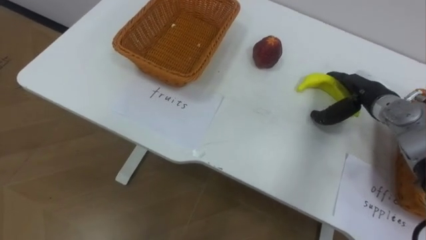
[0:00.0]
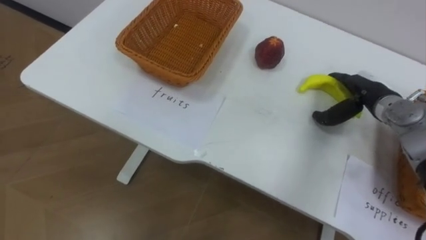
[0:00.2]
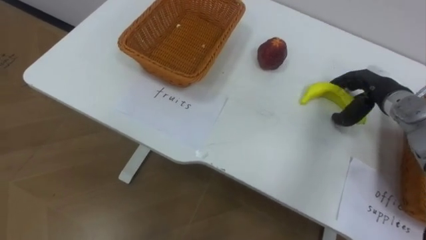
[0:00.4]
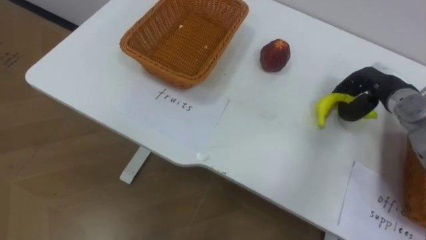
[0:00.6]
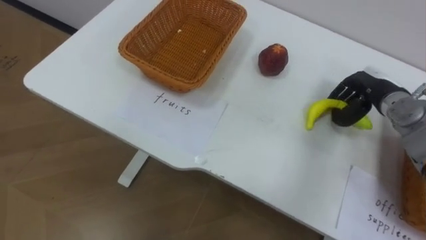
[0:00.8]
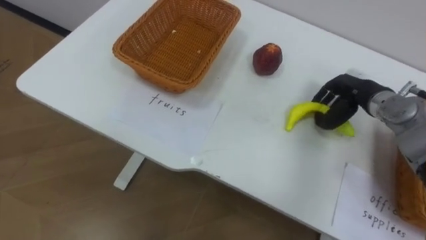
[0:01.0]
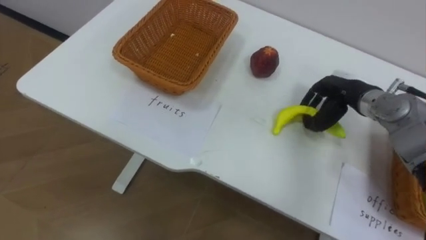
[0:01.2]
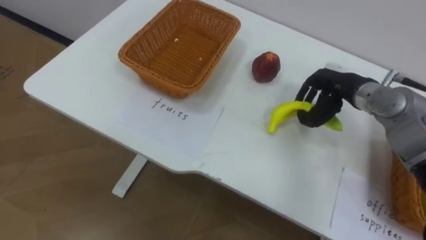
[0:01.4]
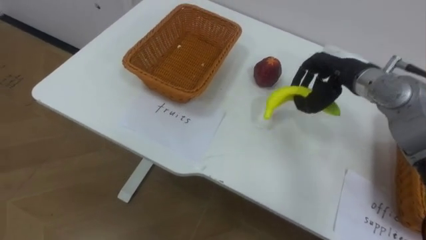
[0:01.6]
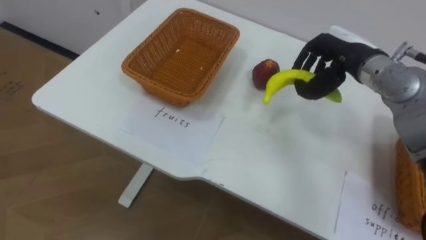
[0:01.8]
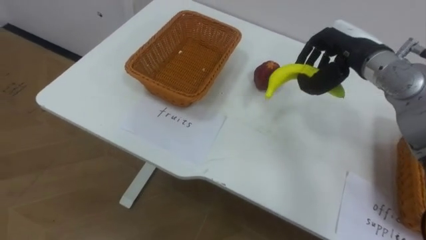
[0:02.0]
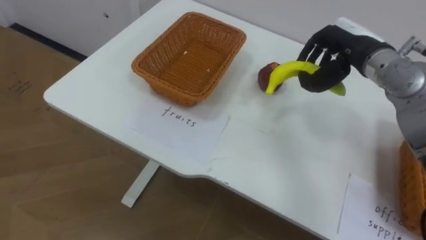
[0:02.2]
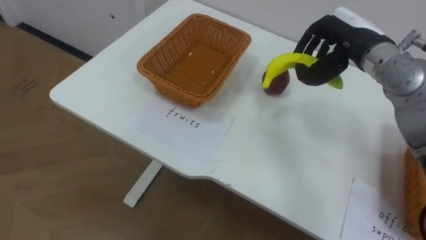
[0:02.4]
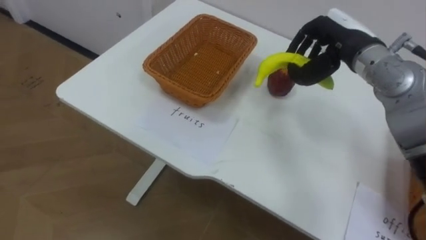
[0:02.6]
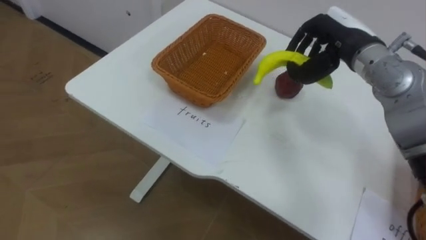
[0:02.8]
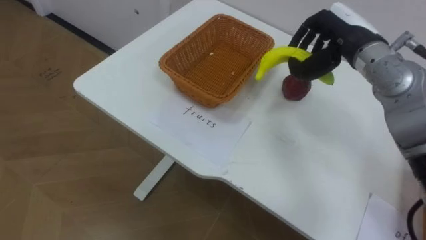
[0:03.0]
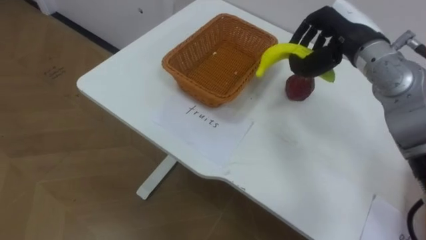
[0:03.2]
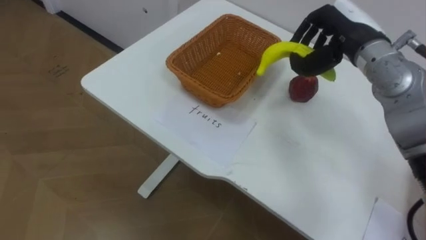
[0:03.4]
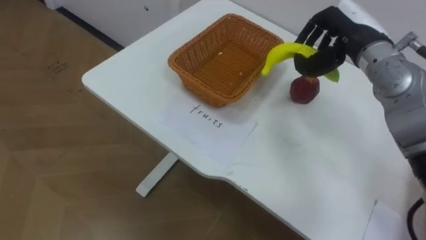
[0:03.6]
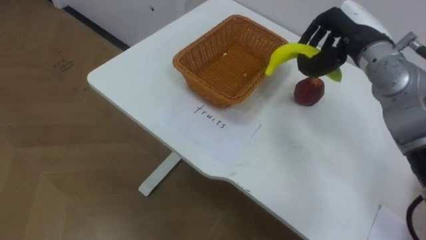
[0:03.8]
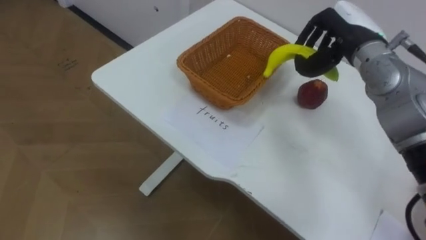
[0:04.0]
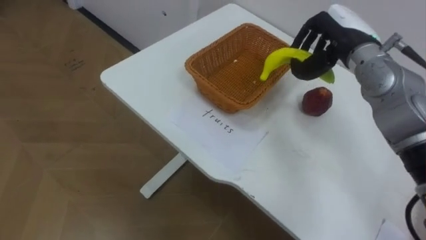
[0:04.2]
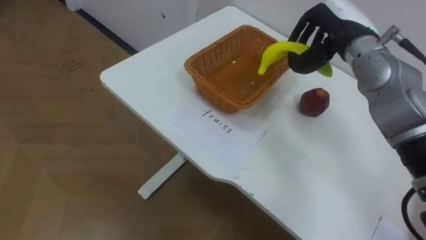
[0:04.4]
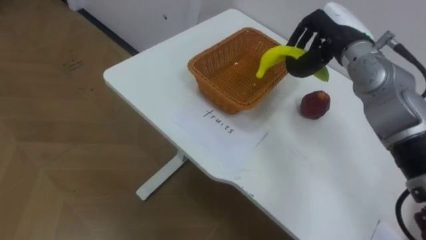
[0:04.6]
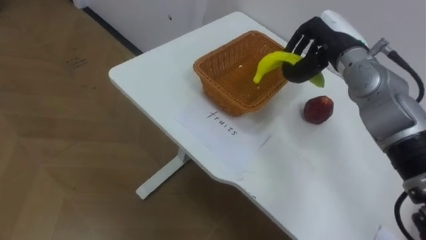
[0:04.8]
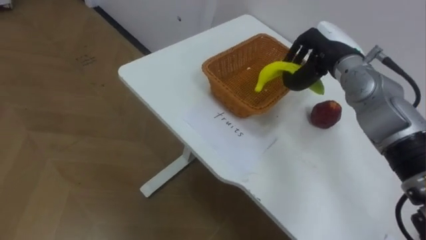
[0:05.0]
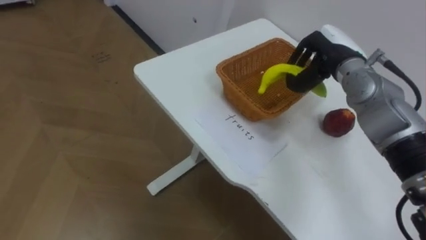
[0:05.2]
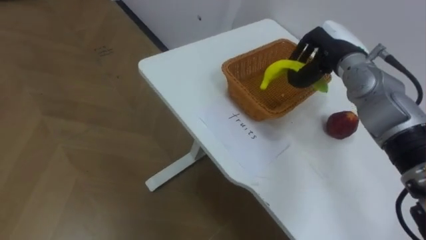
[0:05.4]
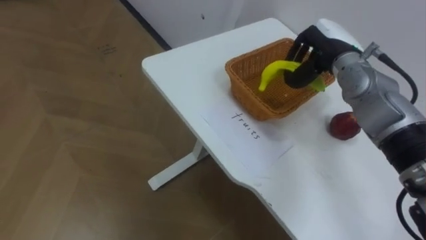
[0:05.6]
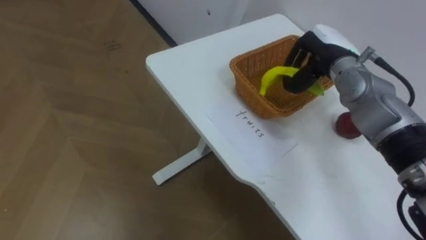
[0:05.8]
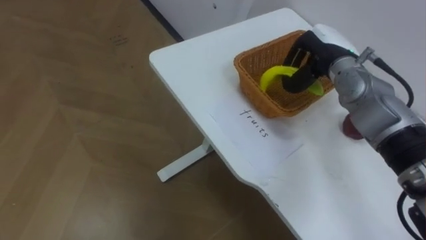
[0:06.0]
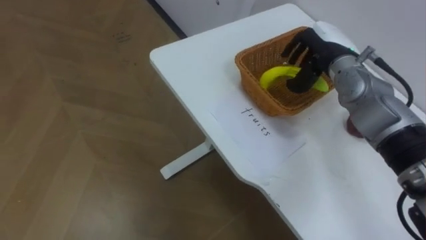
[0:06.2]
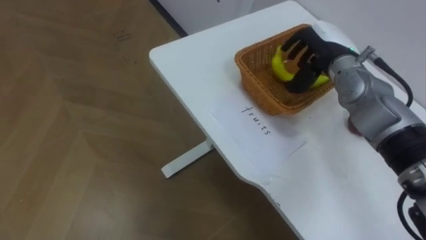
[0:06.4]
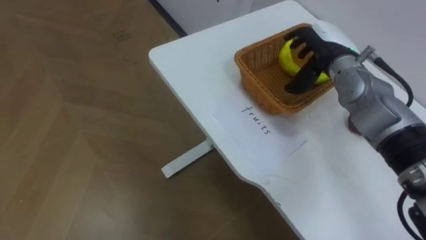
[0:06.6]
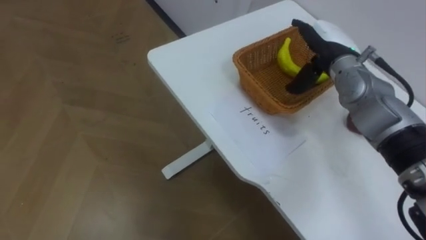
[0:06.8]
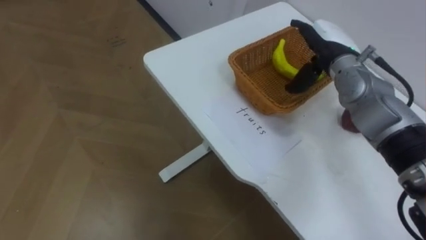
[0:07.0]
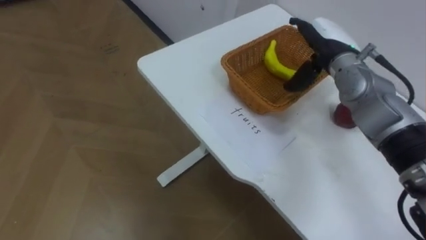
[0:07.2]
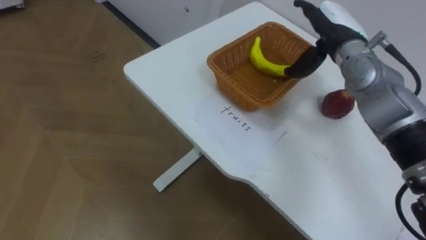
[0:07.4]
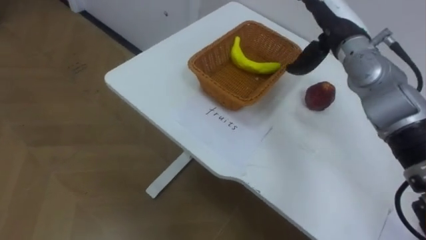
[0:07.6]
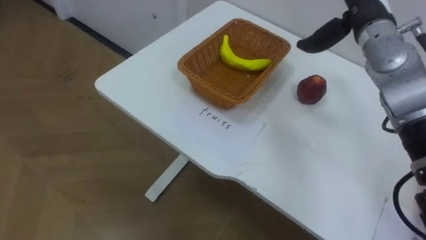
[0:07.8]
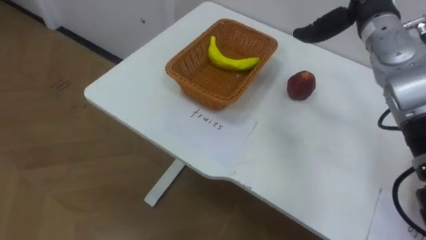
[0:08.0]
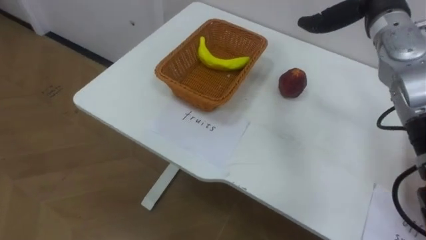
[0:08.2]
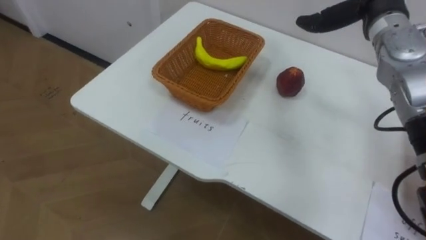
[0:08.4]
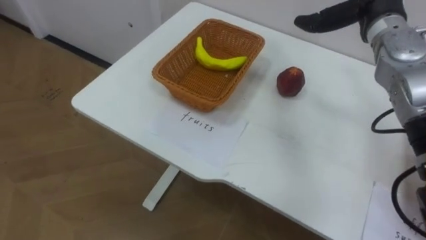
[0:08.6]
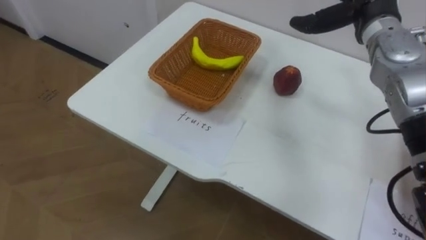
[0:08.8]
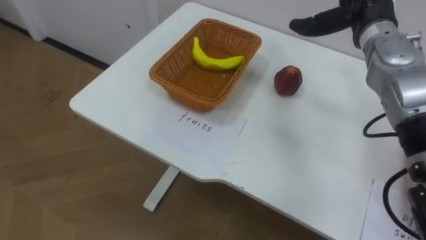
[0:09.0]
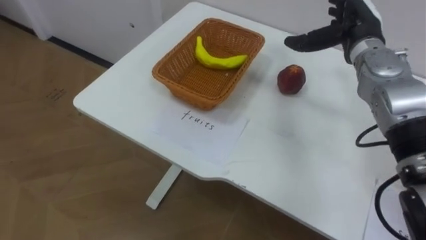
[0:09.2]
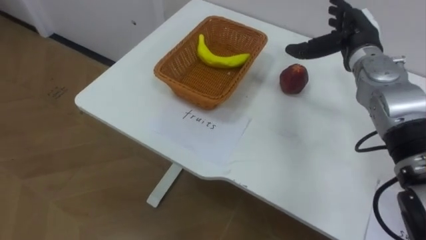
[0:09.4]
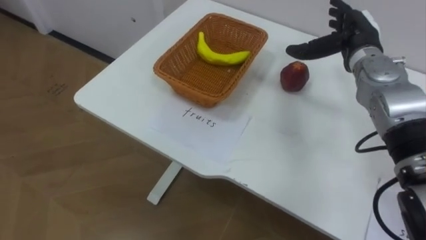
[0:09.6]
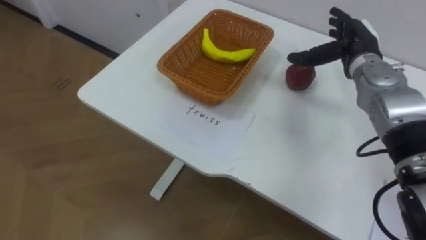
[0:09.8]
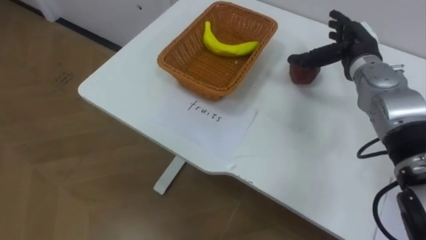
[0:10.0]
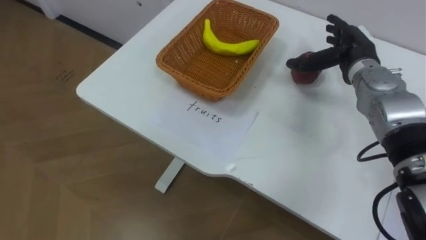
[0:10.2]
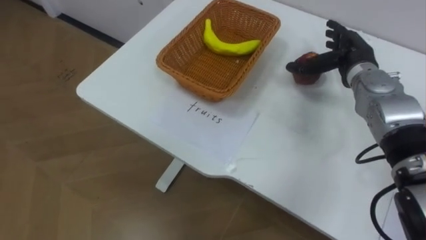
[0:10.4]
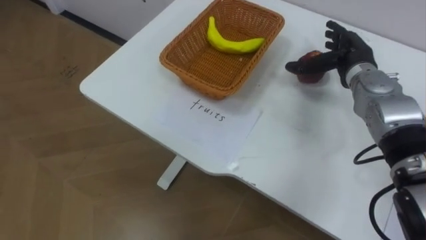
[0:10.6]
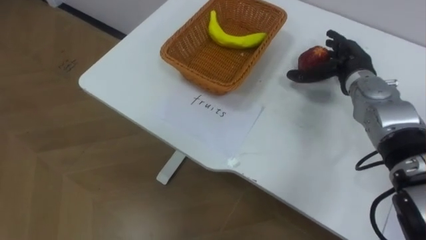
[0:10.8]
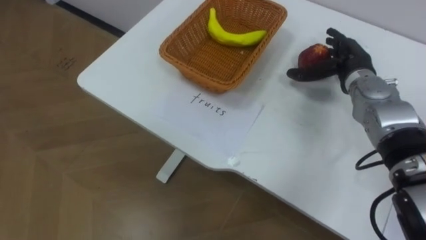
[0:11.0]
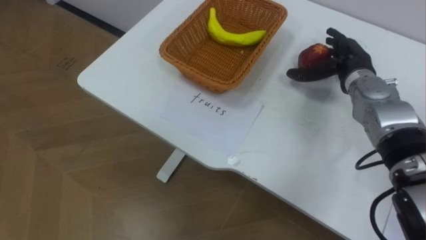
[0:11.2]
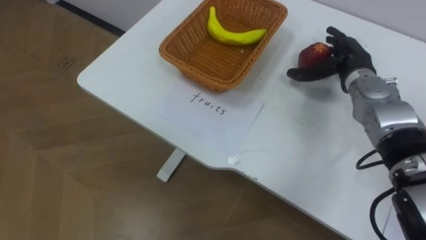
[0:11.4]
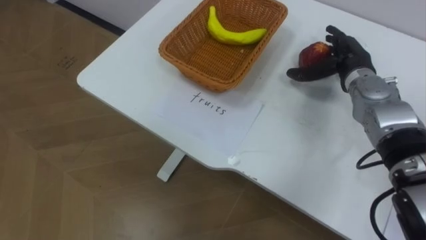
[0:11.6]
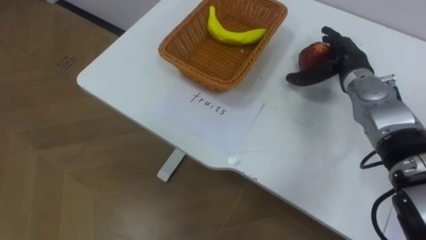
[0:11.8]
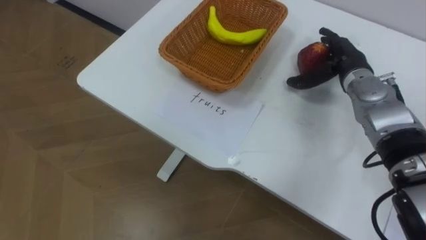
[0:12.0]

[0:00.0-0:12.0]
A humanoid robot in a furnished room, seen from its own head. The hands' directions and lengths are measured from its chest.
Task of the whole recording: Separate the items on the table and place them into the two baskets.
0:00.0 to 0:01.6: The right hand moves to the left and upward, roughly 10 cm, and closes up.
0:01.6 to 0:03.0: The right hand shifts some 5 cm upward.
0:04.4 to 0:06.0: The right hand goes roughly 5 cm downward.
0:06.0 to 0:07.6: The right hand opens.
0:09.0 to 0:10.4: The right hand shifts approximately 10 cm downward.

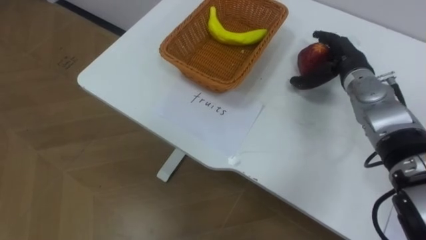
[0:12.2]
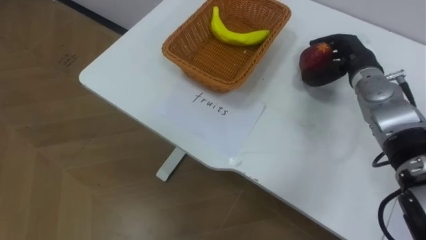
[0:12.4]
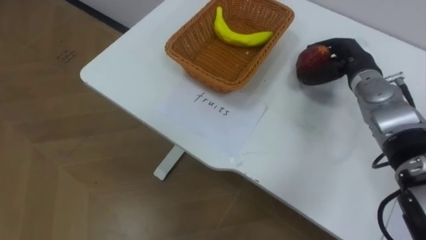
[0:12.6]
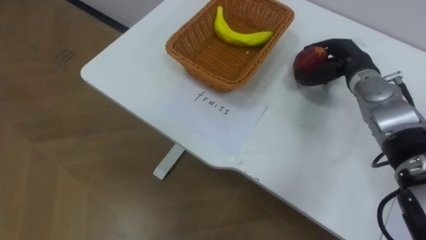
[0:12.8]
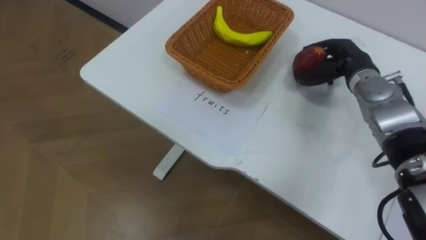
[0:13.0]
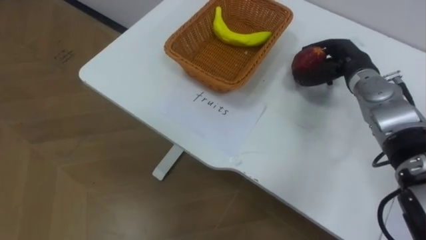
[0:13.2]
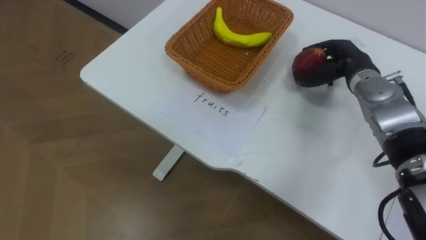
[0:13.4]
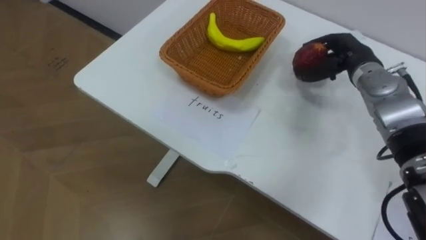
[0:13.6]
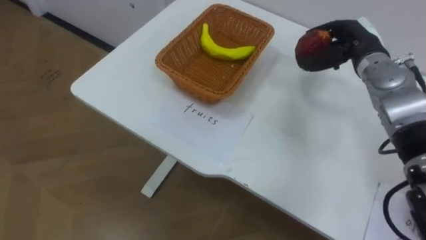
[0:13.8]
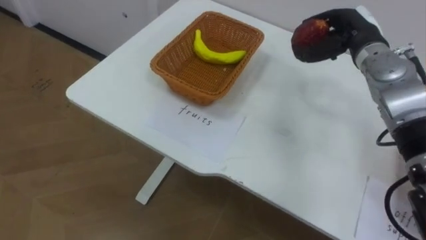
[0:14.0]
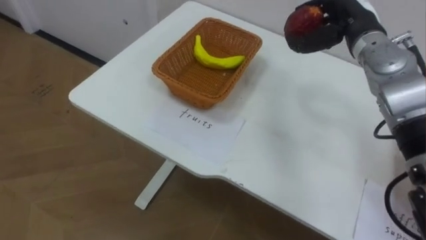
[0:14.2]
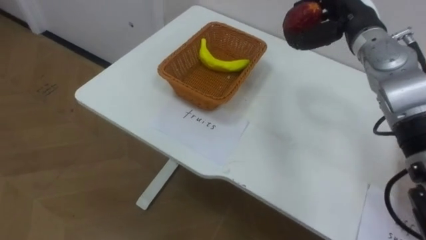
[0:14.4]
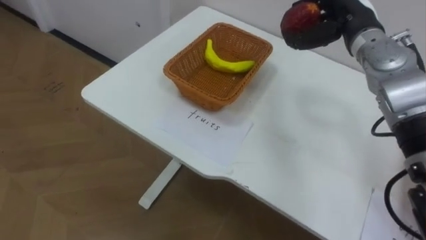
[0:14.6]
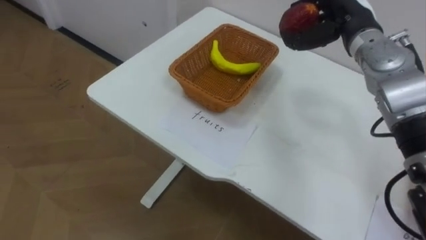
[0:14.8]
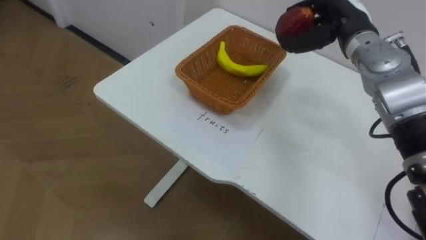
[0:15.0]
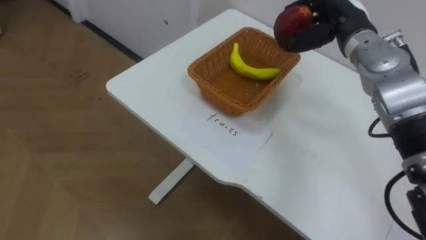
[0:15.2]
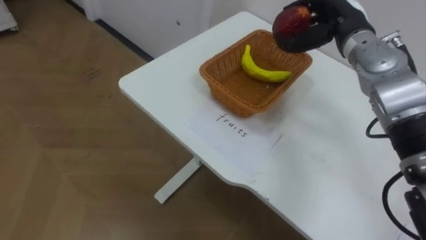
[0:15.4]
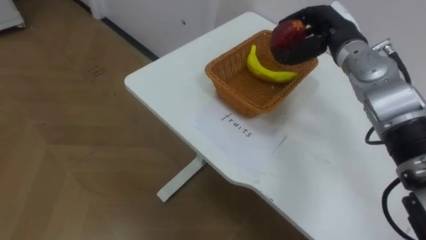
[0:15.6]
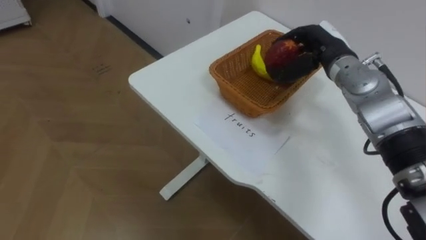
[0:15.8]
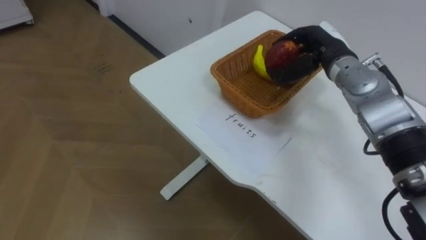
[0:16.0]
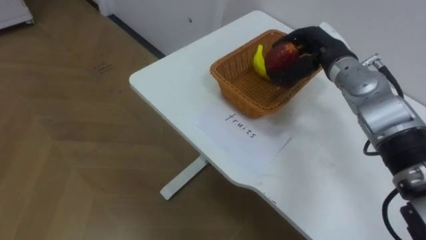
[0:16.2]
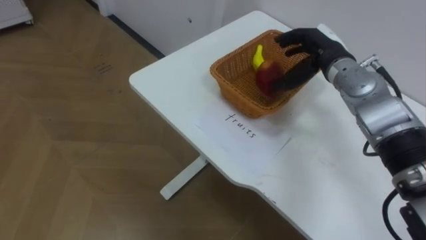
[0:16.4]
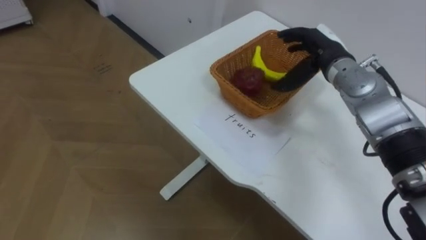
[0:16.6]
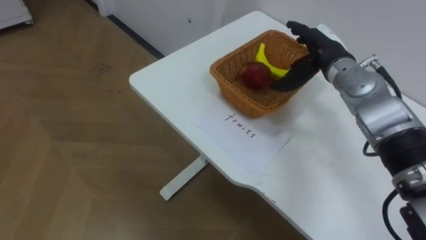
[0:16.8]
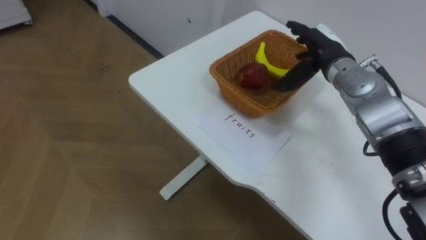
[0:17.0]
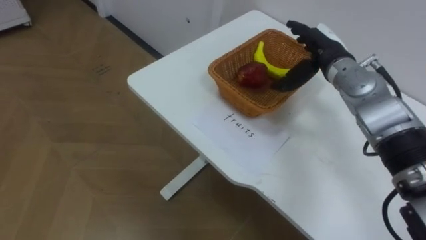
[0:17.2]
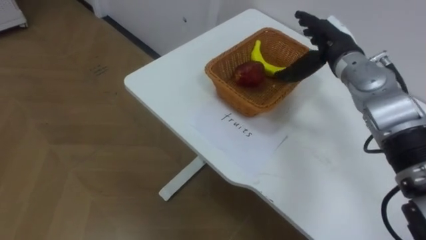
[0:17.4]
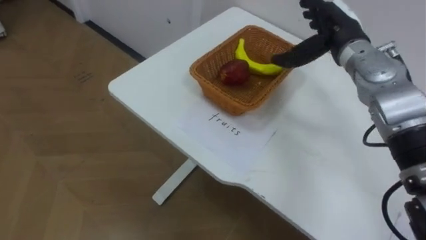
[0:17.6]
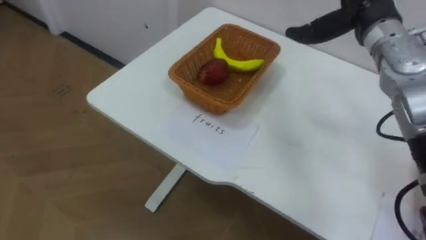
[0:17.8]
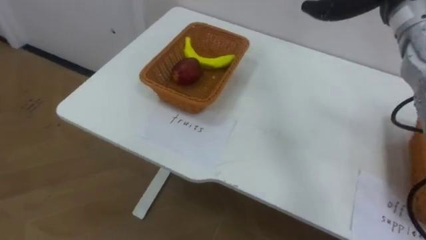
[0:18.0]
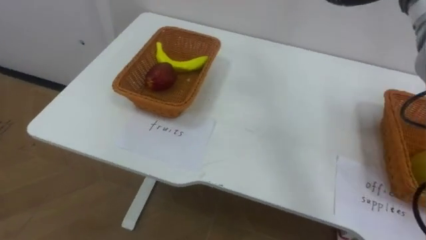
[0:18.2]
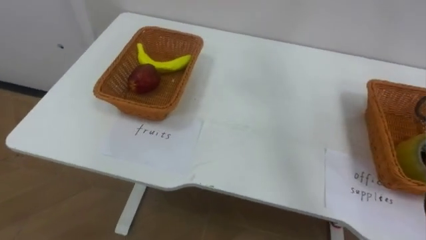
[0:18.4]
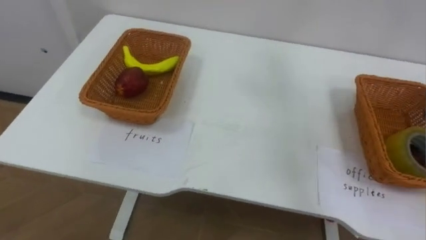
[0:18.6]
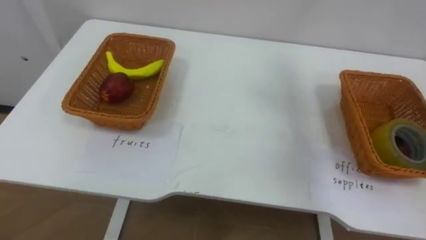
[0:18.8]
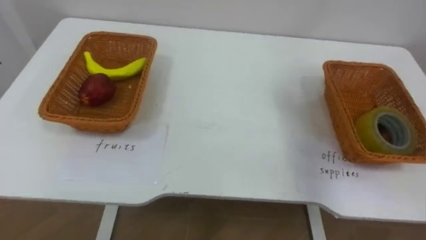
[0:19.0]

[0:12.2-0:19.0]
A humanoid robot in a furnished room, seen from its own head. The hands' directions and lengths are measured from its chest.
Task of the whole recording: Separate the items on the table and place them into the two baskets.
0:12.2 to 0:13.6: The right hand closes.
0:13.6 to 0:15.0: The right hand goes about 5 cm upward.
0:15.0 to 0:16.2: The right hand ends up roughly 5 cm from where it was.
0:16.2 to 0:17.6: The right hand opens up.
